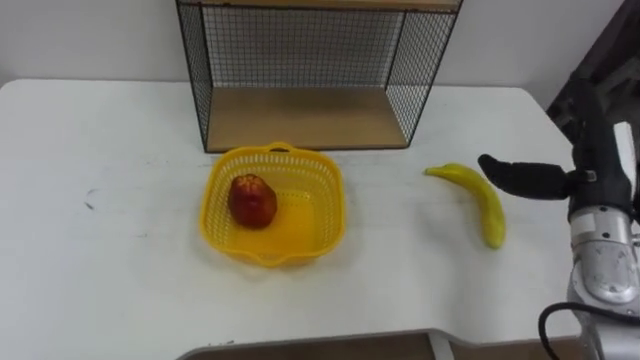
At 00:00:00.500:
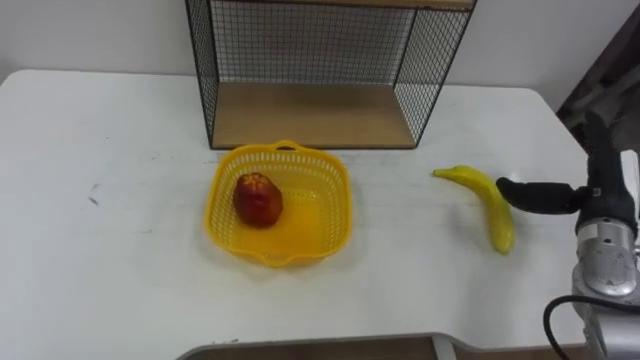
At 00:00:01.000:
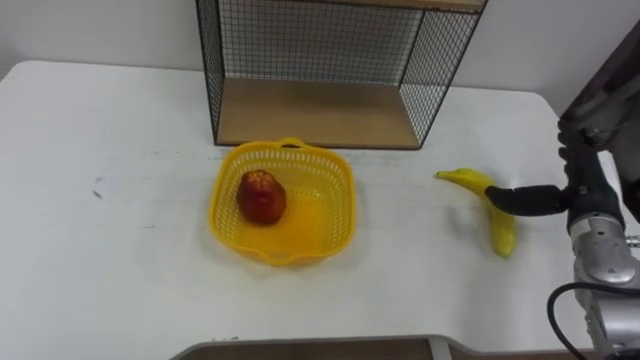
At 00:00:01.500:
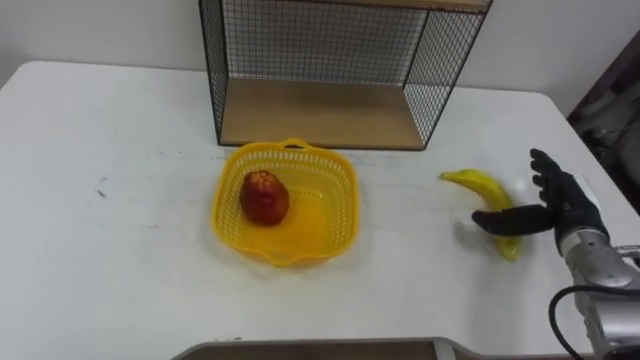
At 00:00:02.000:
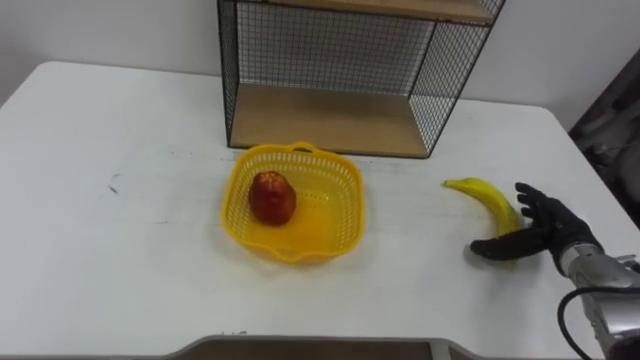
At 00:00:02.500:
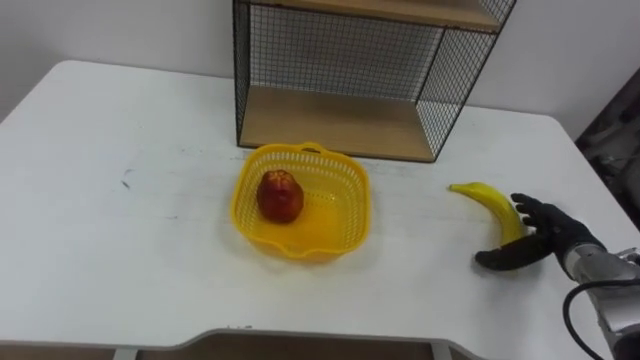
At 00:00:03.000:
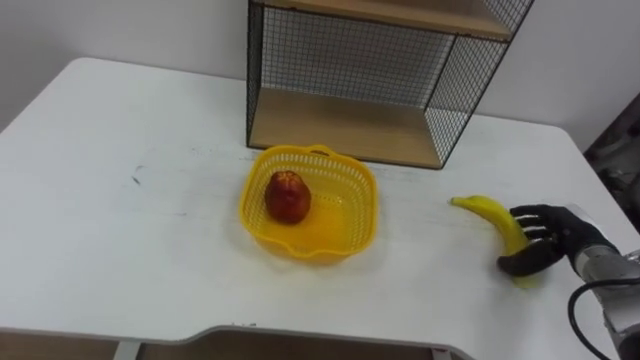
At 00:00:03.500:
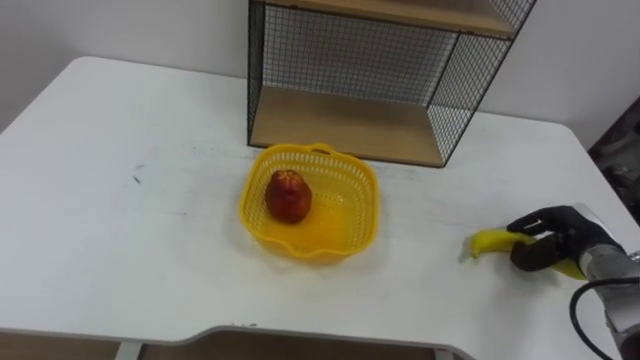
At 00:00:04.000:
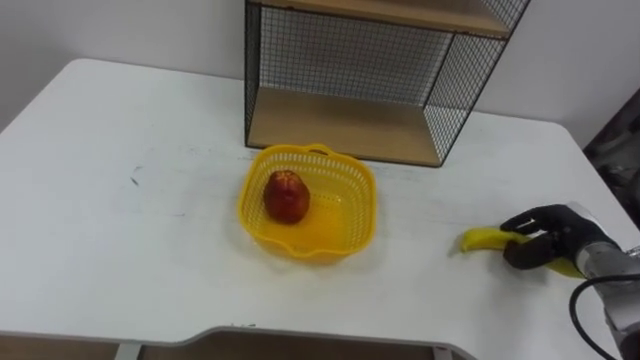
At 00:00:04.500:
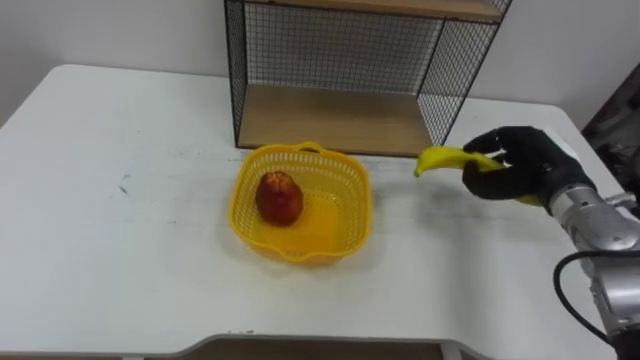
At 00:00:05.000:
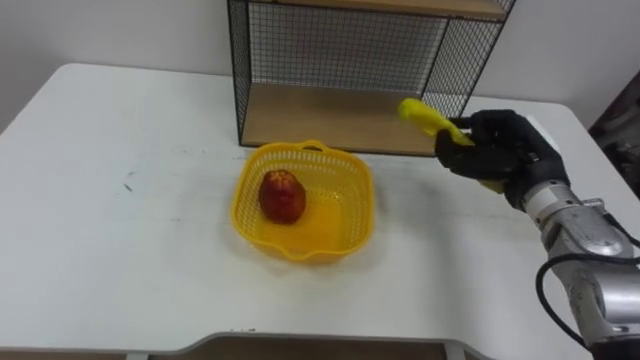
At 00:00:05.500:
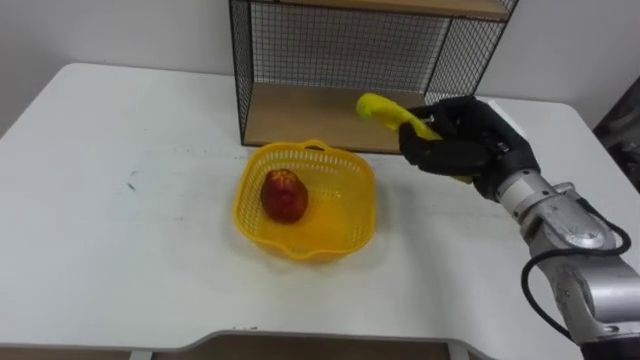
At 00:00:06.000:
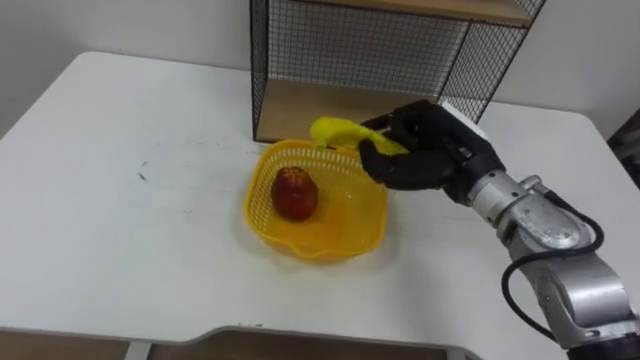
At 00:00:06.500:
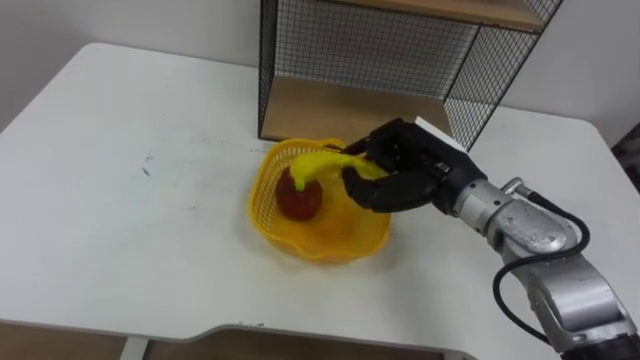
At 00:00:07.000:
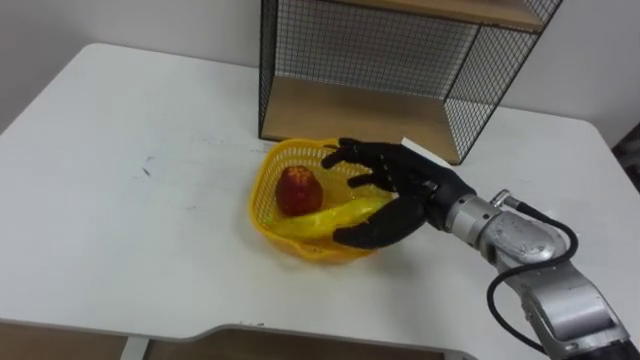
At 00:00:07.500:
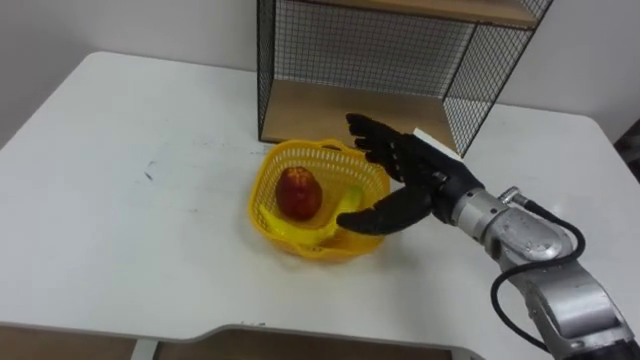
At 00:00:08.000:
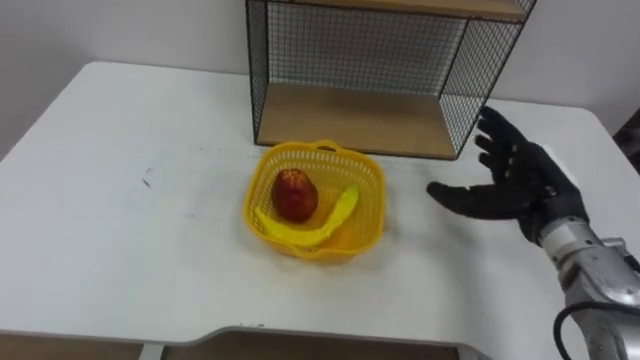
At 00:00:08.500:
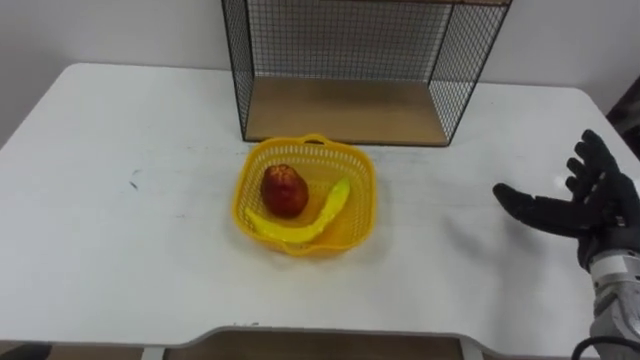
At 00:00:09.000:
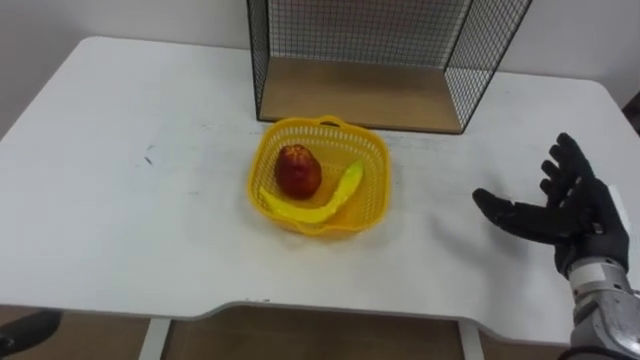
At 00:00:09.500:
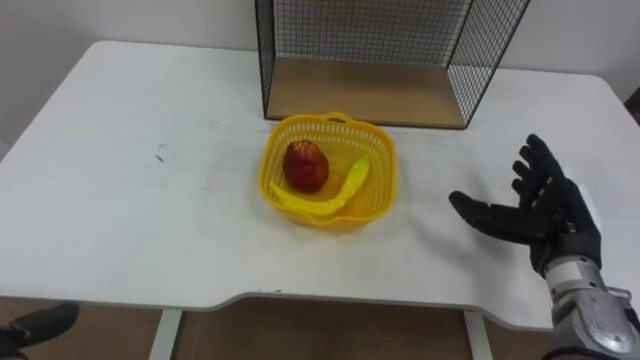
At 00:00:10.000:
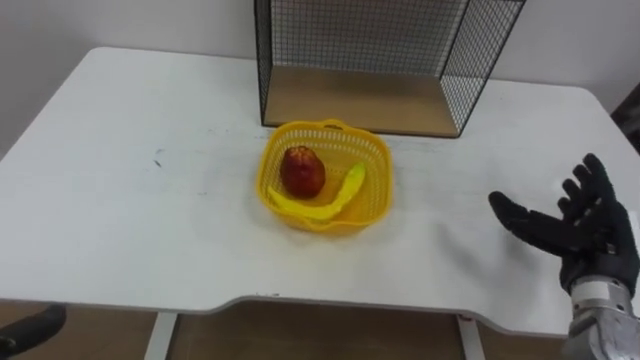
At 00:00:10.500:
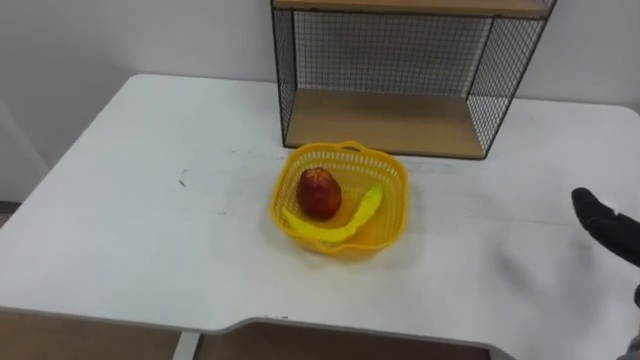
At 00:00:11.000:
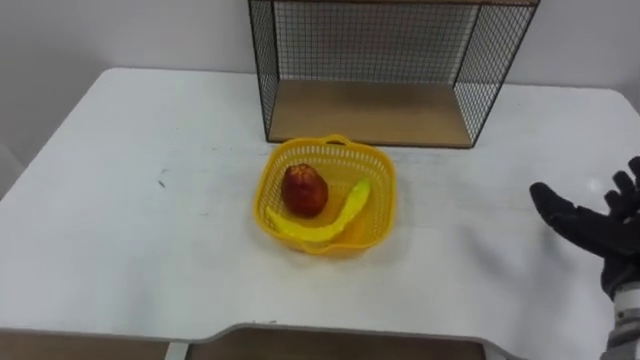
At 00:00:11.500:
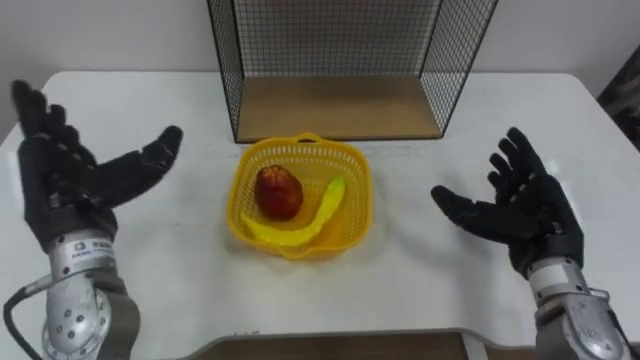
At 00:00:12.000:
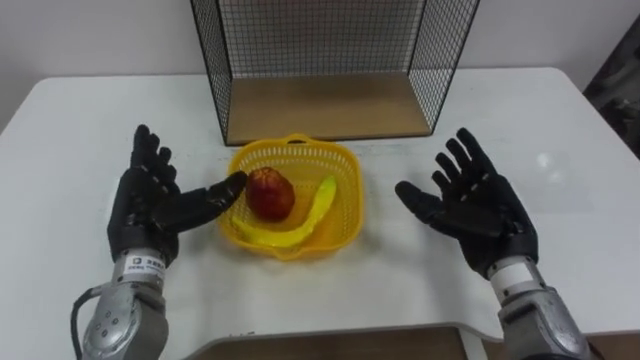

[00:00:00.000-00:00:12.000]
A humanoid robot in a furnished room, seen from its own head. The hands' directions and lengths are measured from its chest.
Task of the whole recording: Put the fruit on the table into the basket, then place the basket on the shelf.
00:00:00.000 to 00:00:02.000: The right hand moves downward, approximately 15 cm.
00:00:02.000 to 00:00:04.000: The right hand closes up.
00:00:04.000 to 00:00:06.000: The right hand heads to the left and upward, covering roughly 25 cm.
00:00:06.000 to 00:00:08.000: The right hand travels to the right by roughly 10 cm, and opens up.
00:00:08.000 to 00:00:10.000: The right hand goes roughly 10 cm backward and to the right.

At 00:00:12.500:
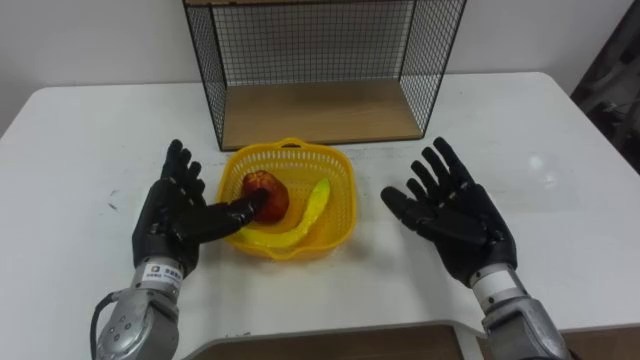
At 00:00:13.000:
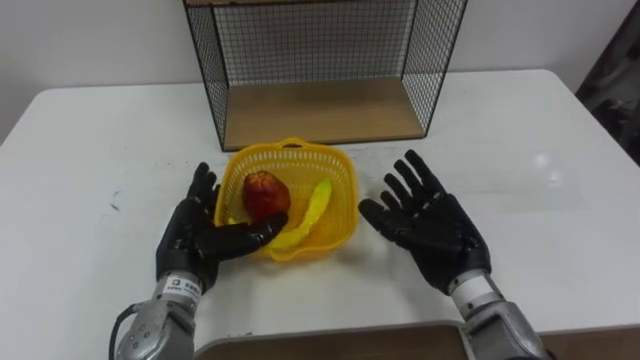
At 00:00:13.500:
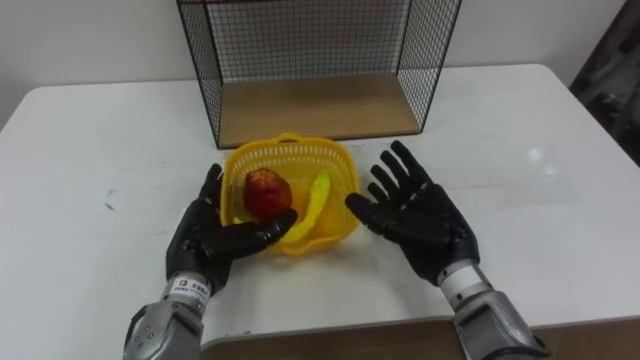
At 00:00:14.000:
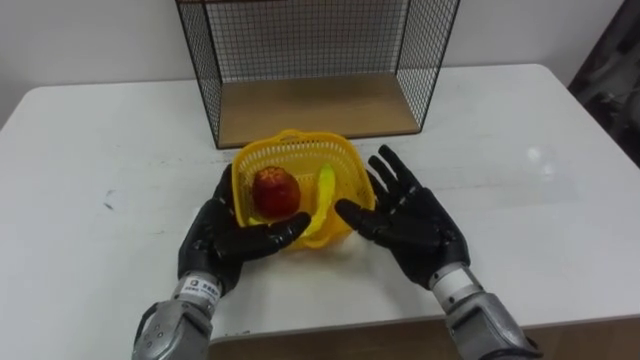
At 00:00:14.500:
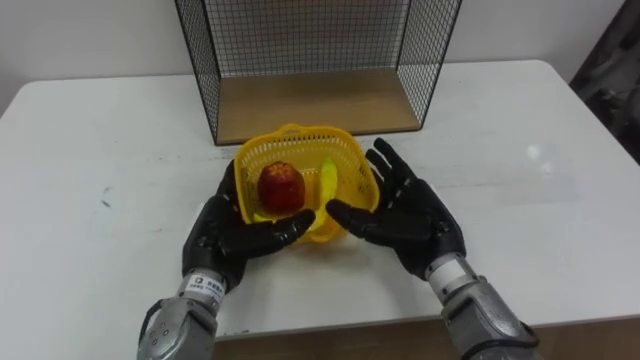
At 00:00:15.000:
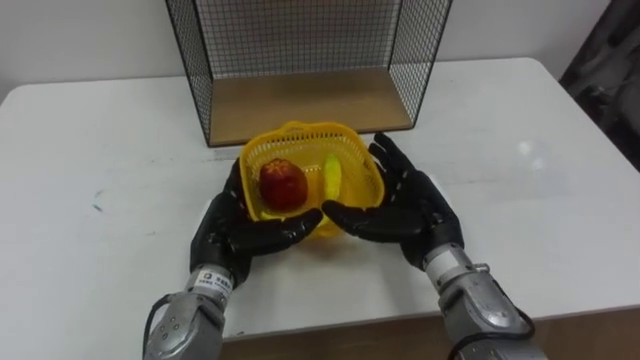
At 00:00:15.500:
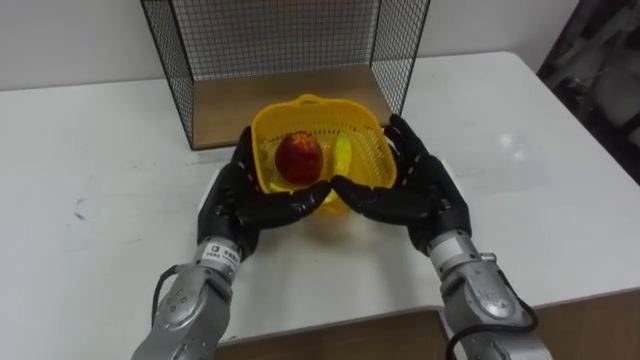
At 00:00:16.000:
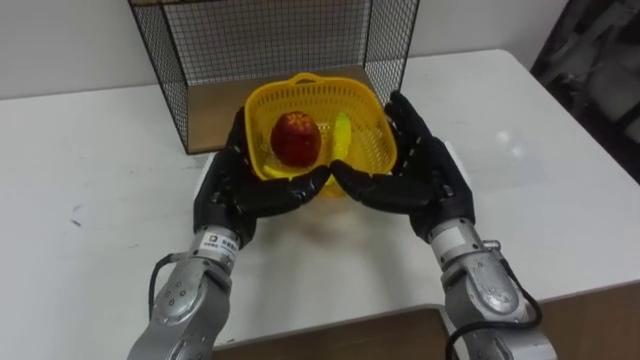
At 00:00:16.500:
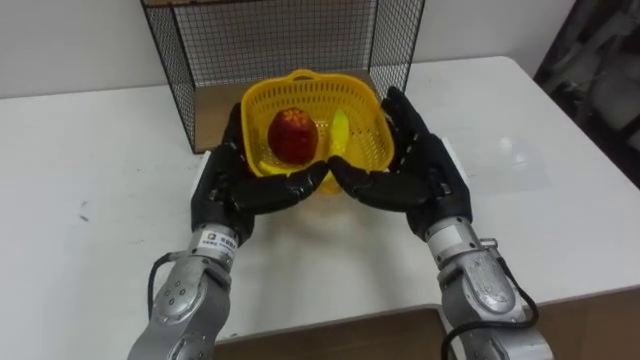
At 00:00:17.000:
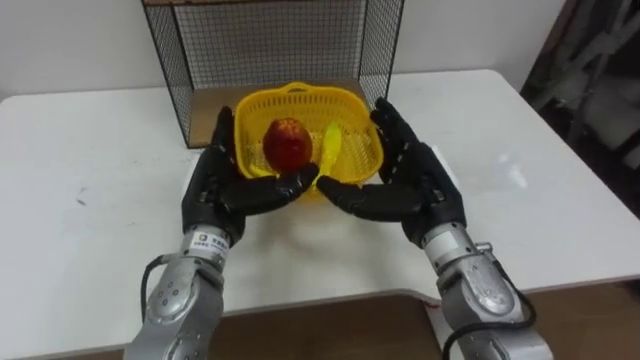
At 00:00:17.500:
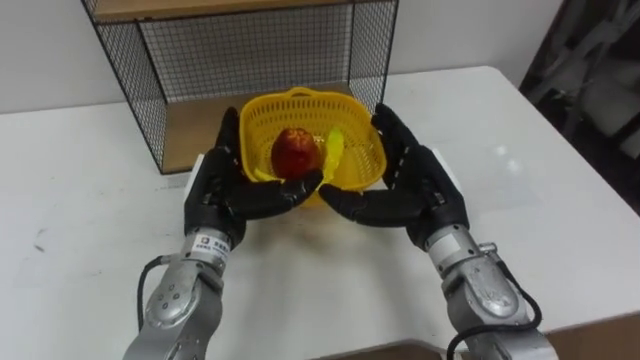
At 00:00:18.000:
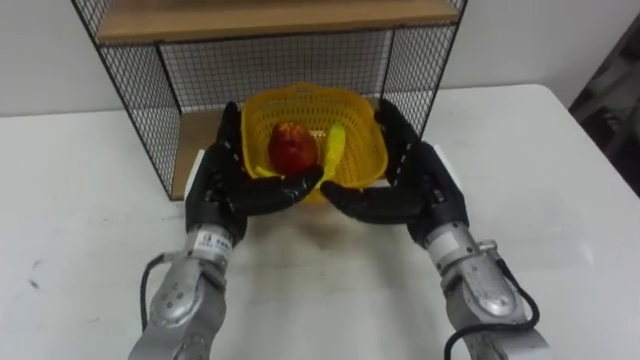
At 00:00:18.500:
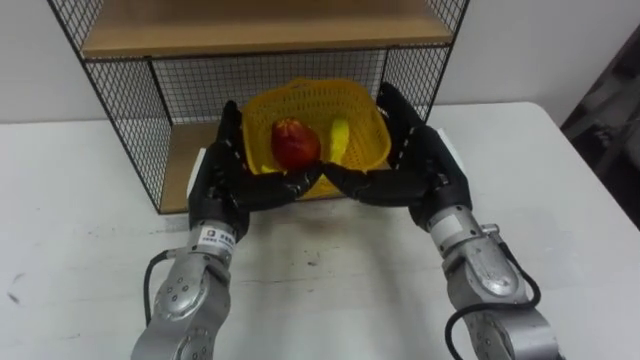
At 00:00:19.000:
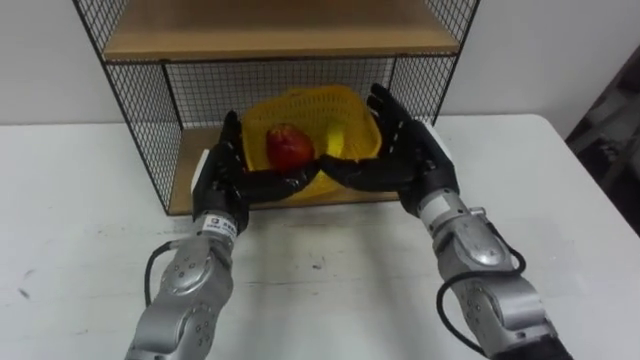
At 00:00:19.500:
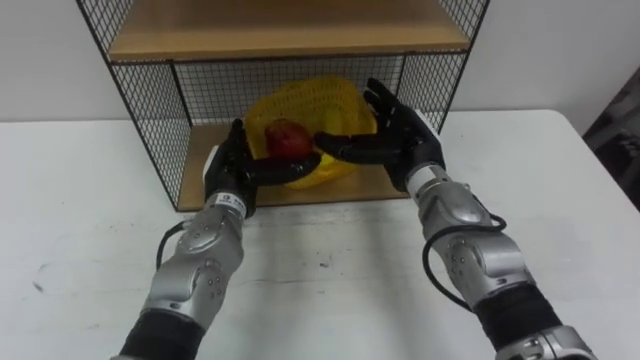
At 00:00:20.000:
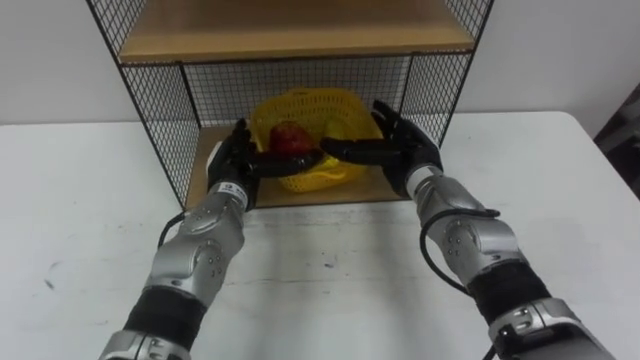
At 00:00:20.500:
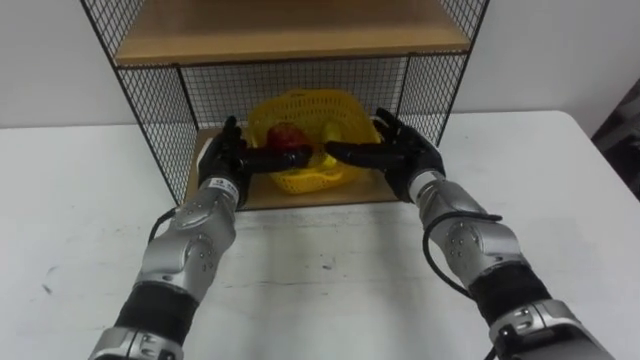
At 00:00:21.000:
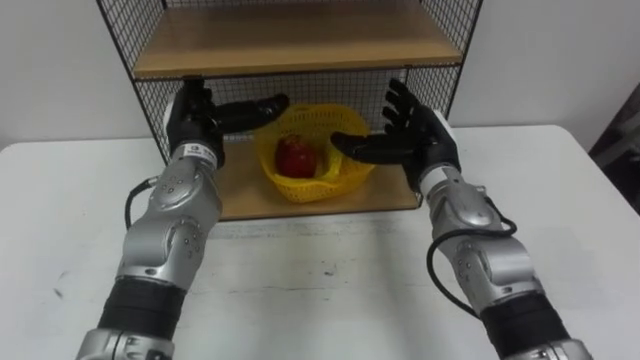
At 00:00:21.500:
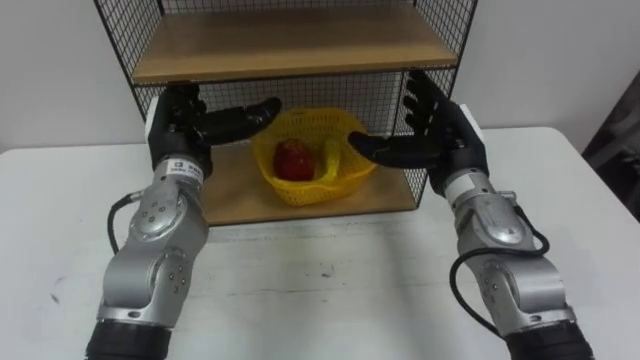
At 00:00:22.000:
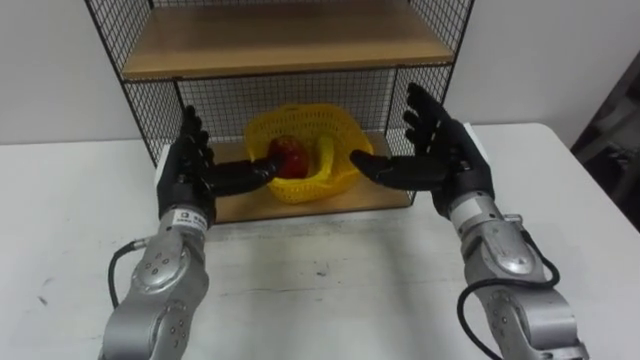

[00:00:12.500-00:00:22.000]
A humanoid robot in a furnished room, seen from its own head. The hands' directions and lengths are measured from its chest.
Task of the whole recording: Put the fruit on the table into the basket, then place the basket on the shelf.
00:00:12.500 to 00:00:14.500: The right hand goes approximately 5 cm to the left, while the left hand heads to the right, covering some 5 cm.
00:00:14.500 to 00:00:16.500: Both hands move upward, some 5 cm.
00:00:18.000 to 00:00:20.000: Both hands move forward, about 5 cm.
00:00:20.000 to 00:00:22.000: The right hand goes about 5 cm backward and to the right. Meanwhile the left hand moves to the left, roughly 5 cm.
